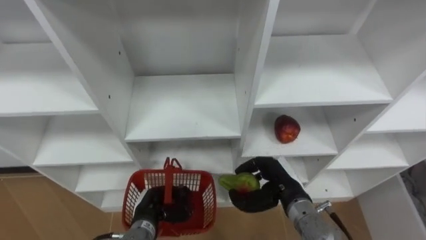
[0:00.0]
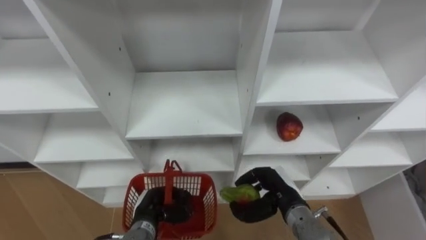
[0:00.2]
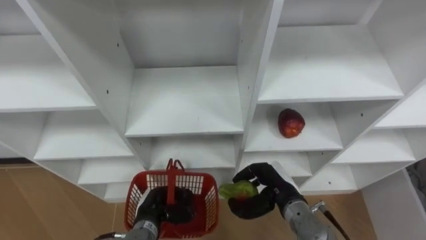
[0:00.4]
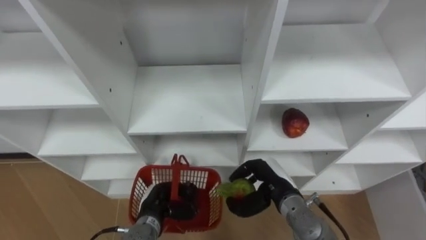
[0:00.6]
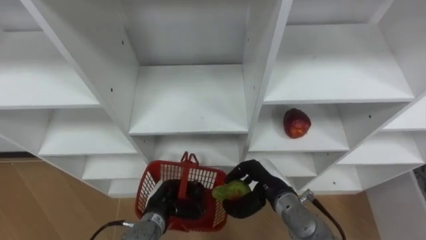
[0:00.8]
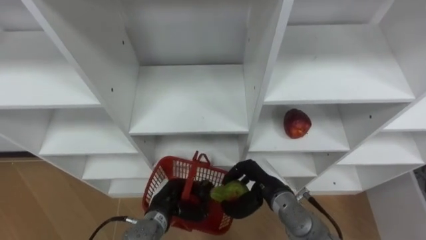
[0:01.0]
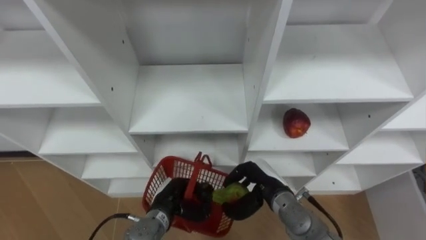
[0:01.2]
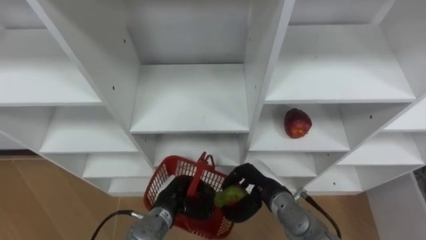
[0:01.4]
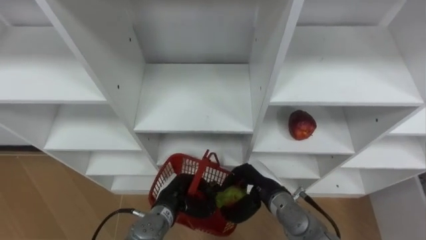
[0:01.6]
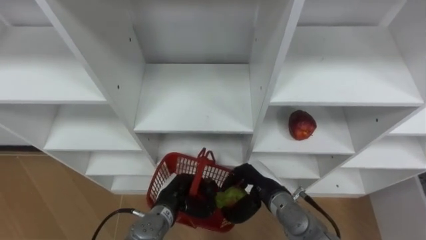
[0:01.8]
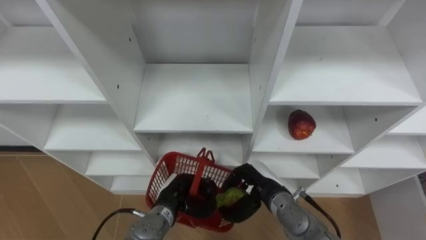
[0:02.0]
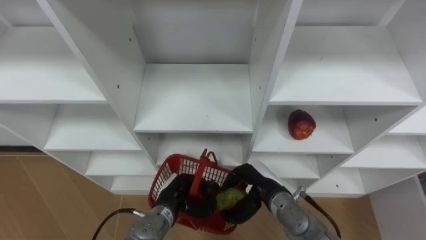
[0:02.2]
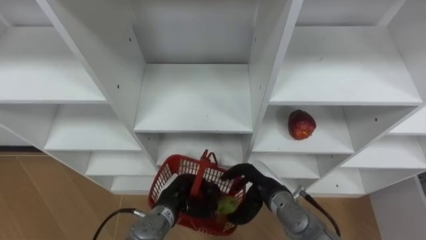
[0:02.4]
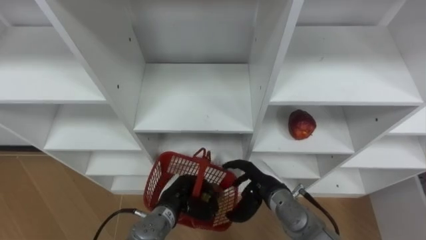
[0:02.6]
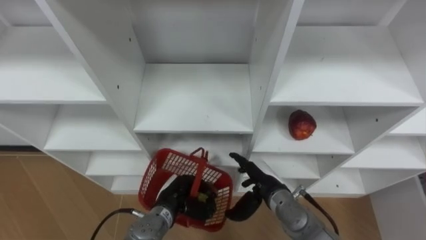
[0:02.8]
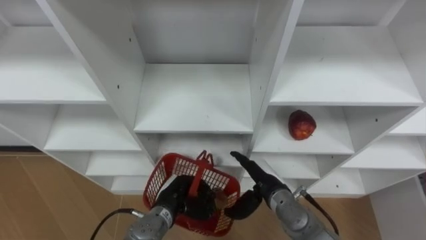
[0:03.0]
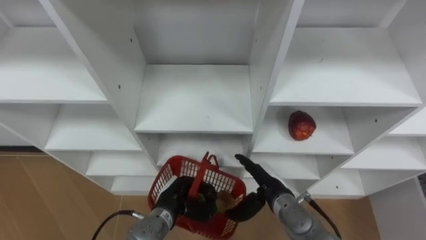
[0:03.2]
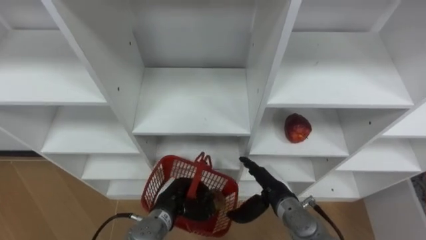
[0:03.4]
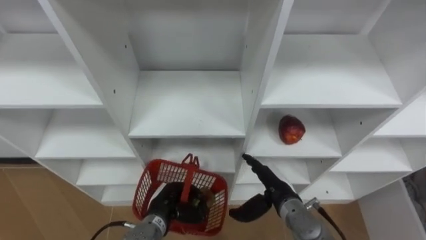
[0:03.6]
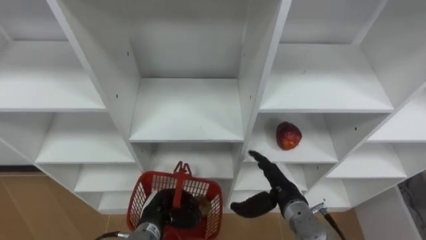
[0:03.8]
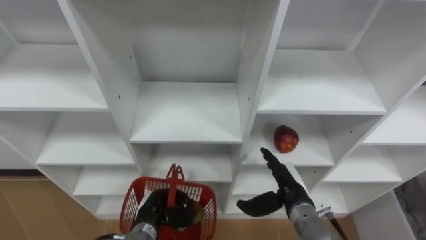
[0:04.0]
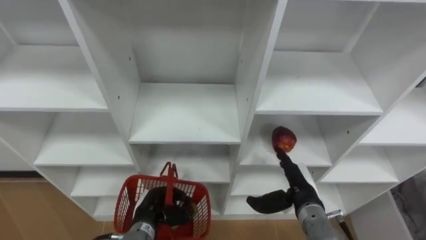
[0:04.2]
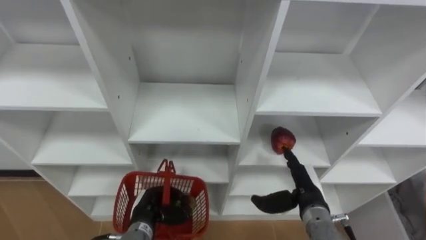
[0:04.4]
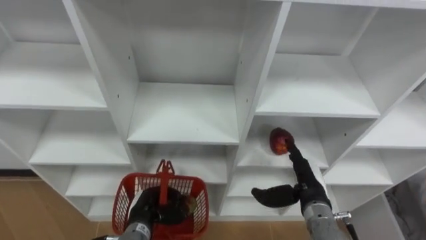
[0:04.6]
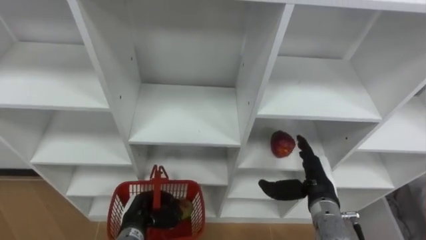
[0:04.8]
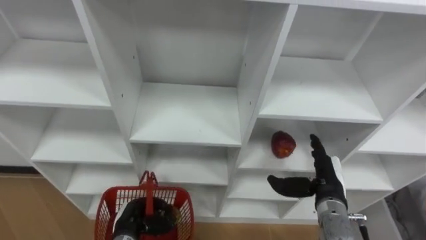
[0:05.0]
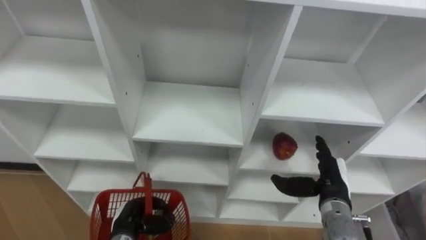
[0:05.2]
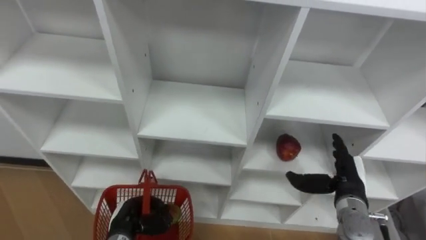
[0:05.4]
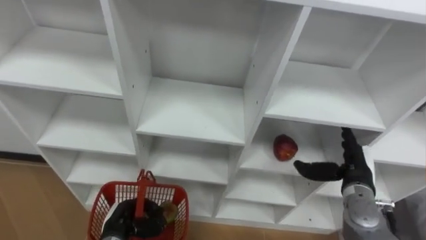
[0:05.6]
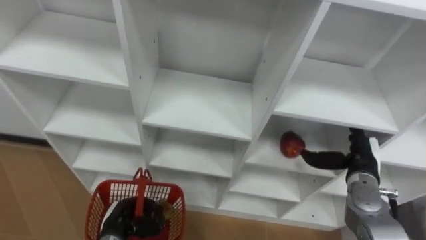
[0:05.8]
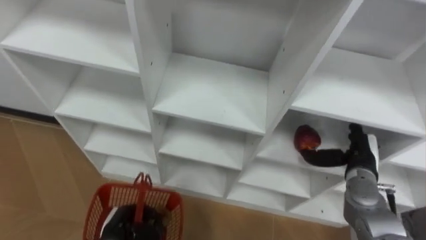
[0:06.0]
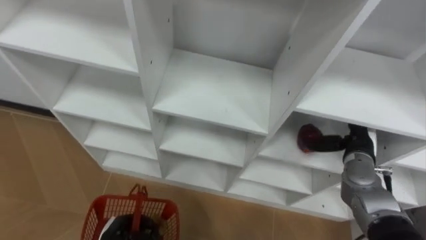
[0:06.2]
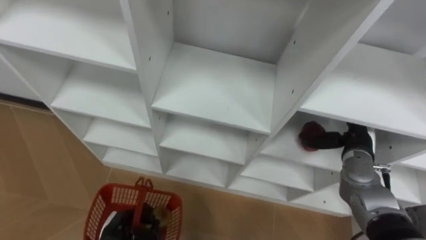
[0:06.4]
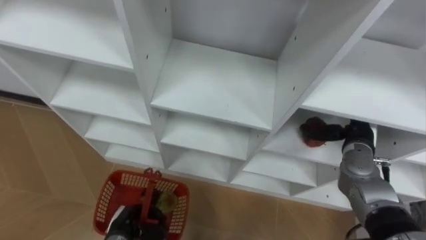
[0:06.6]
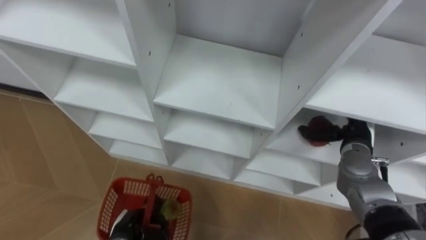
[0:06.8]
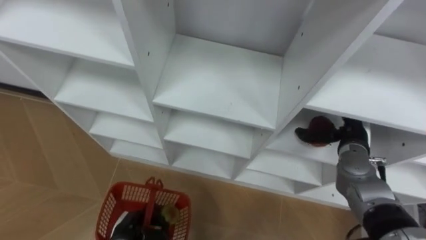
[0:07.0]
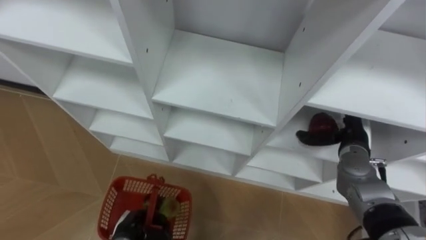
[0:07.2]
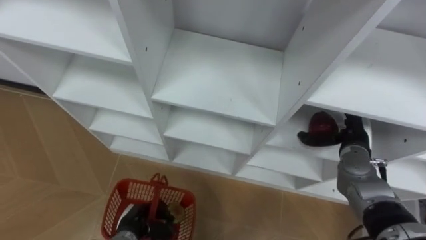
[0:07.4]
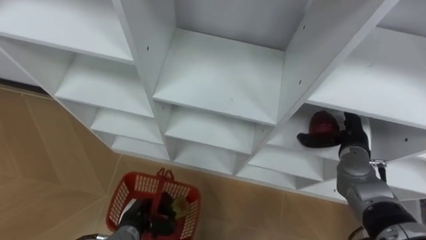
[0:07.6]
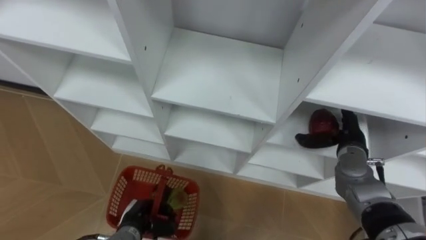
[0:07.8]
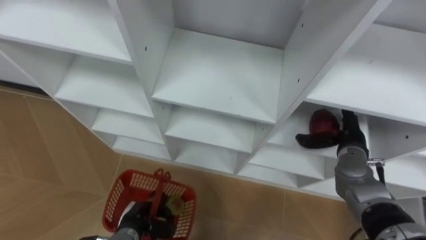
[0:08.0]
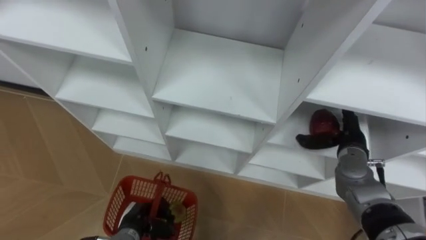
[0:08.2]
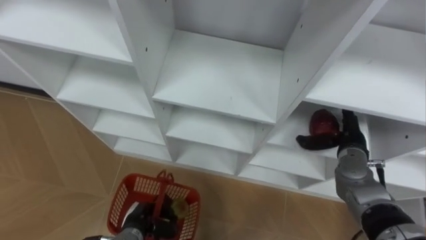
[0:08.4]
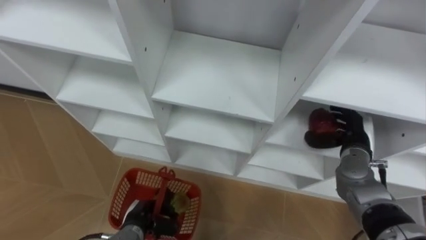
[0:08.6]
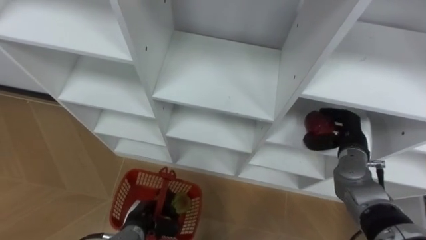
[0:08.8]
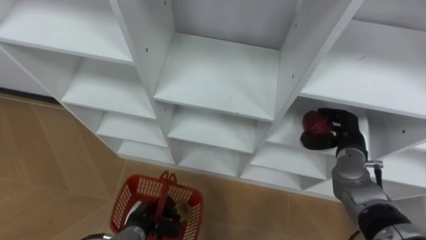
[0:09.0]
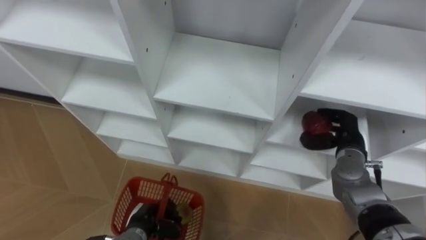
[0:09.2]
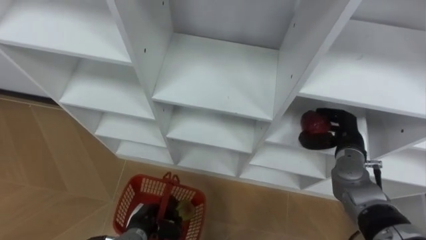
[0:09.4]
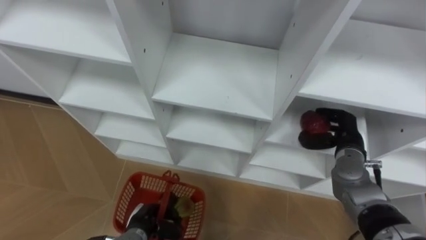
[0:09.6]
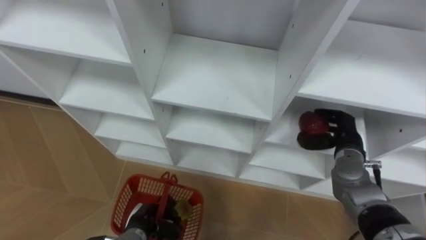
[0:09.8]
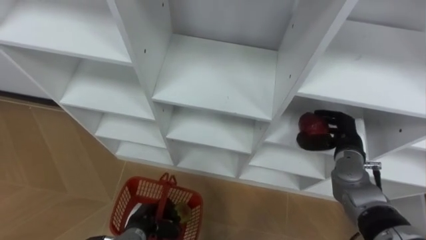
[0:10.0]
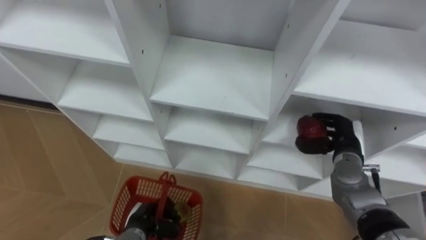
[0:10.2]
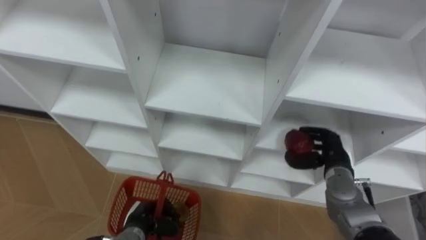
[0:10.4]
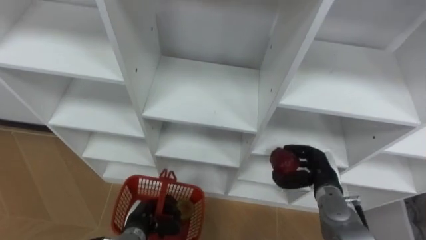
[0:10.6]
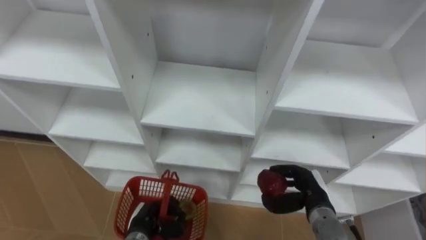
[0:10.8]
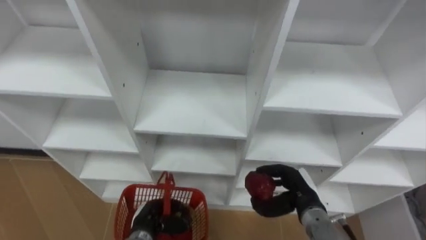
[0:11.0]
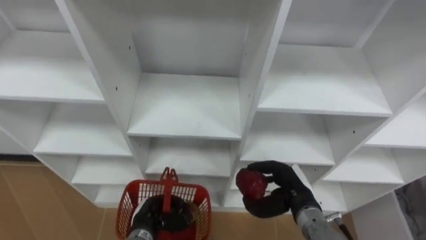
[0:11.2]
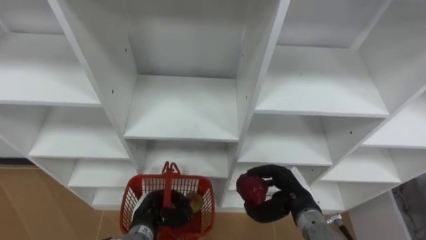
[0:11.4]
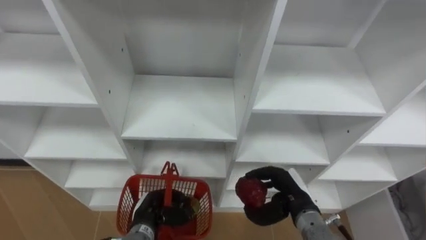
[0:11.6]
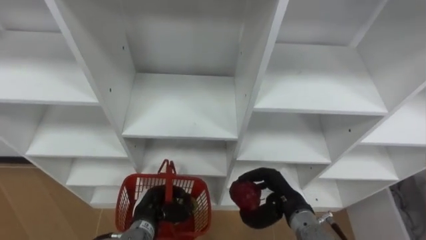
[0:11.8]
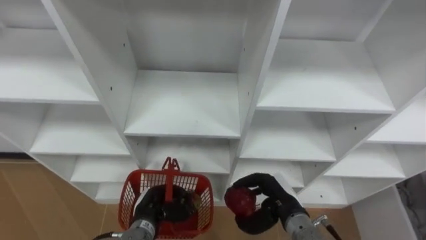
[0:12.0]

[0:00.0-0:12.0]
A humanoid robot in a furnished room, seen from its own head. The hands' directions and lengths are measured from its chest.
Task of the whole recording: Hold the basket and collect the fruits from 3 different cells of the closet into it.
0:00.0 to 0:01.6: The right hand moves roughly 5 cm. Meanwhile the left hand goes some 5 cm to the right.
0:01.6 to 0:03.0: The right hand opens.
0:03.0 to 0:04.4: The left hand heads to the left, covering about 5 cm, while the right hand goes approximately 10 cm to the right.
0:04.4 to 0:06.0: The left hand moves to the left, roughly 5 cm; the right hand is displaced to the right by approximately 10 cm.
0:07.6 to 0:09.0: The right hand closes.
0:10.4 to 0:12.0: The right hand is displaced to the left and backward by roughly 15 cm.

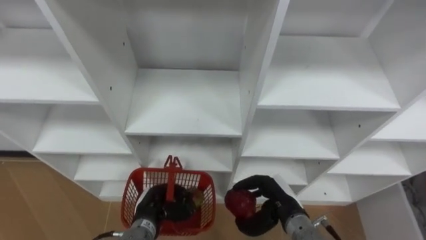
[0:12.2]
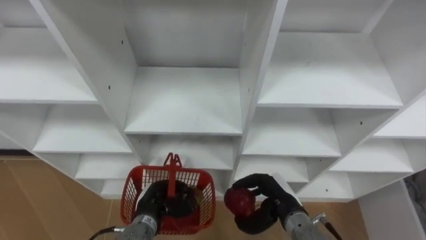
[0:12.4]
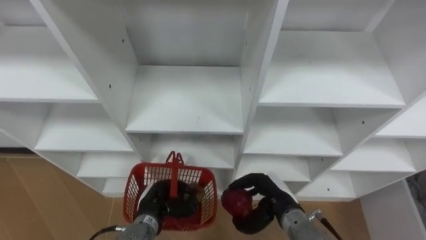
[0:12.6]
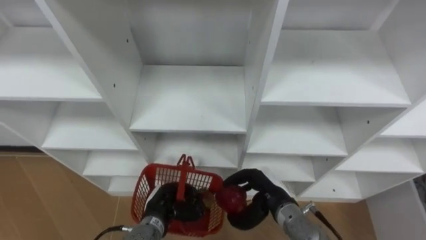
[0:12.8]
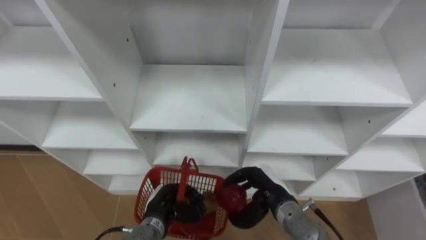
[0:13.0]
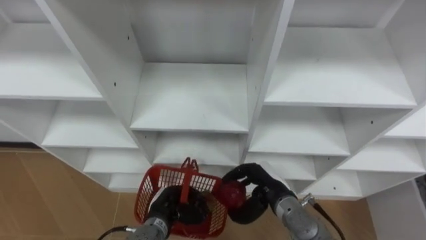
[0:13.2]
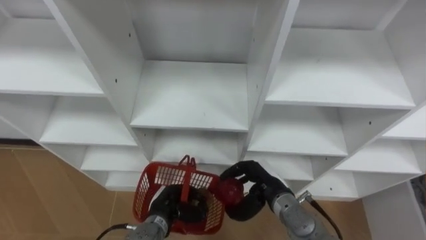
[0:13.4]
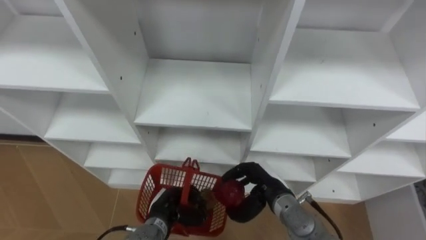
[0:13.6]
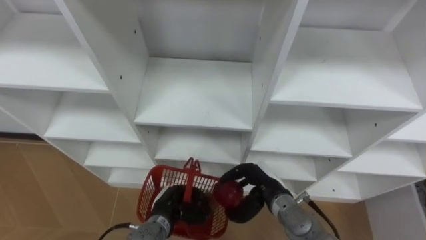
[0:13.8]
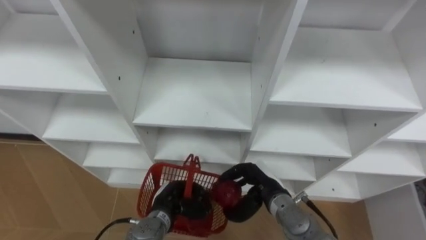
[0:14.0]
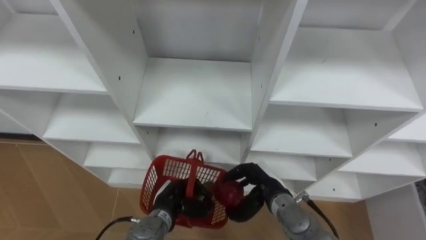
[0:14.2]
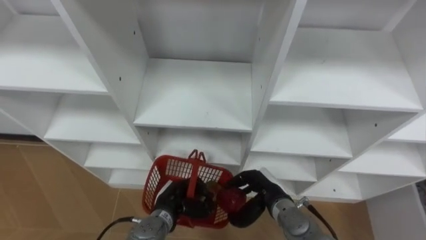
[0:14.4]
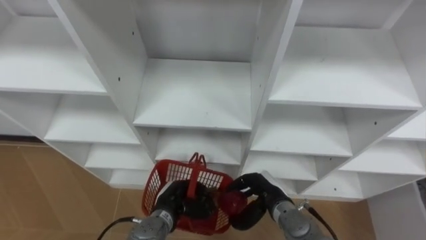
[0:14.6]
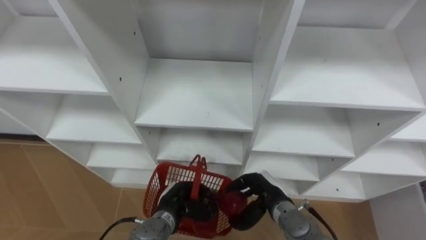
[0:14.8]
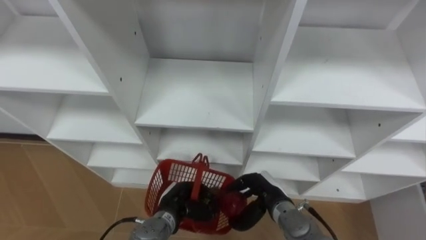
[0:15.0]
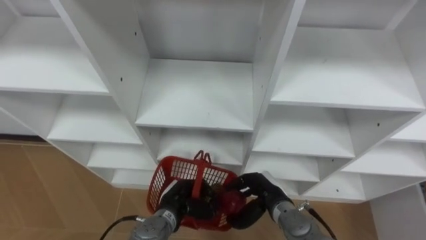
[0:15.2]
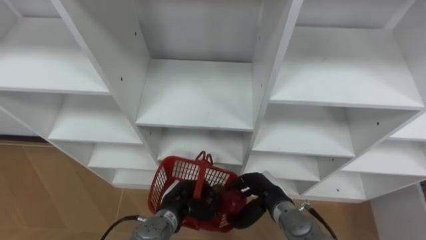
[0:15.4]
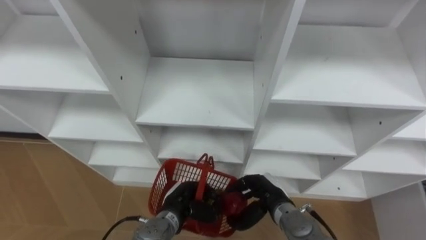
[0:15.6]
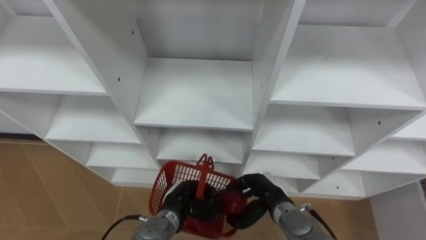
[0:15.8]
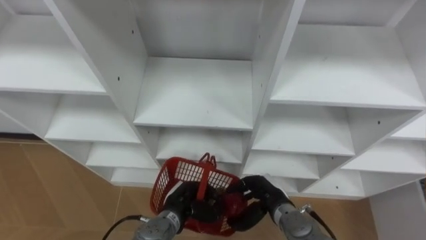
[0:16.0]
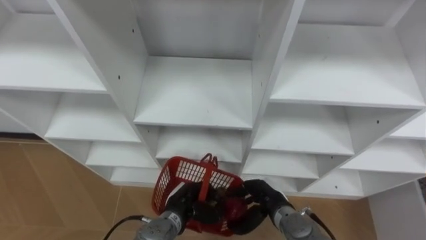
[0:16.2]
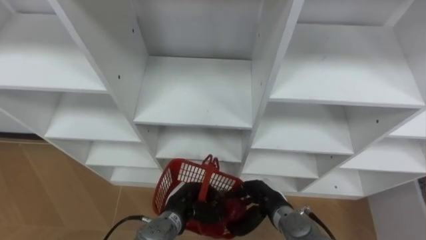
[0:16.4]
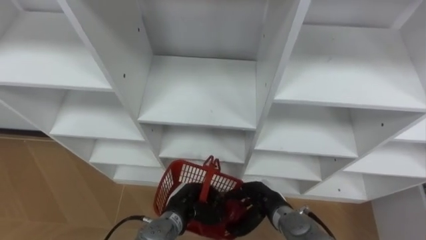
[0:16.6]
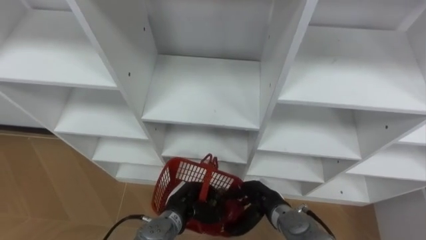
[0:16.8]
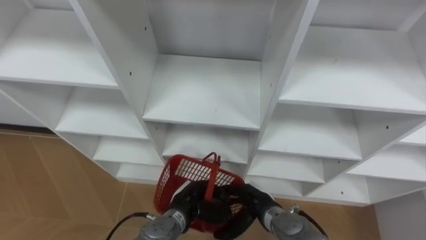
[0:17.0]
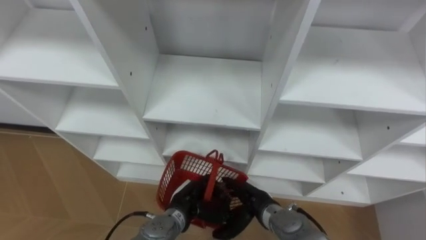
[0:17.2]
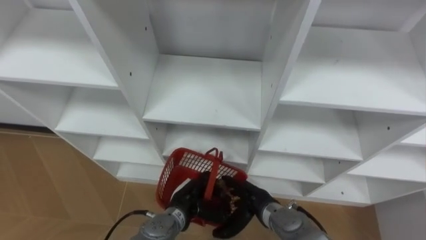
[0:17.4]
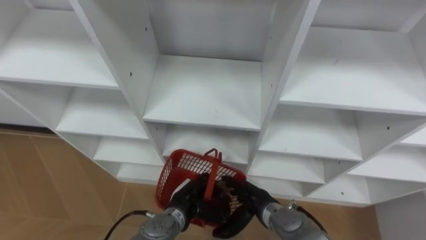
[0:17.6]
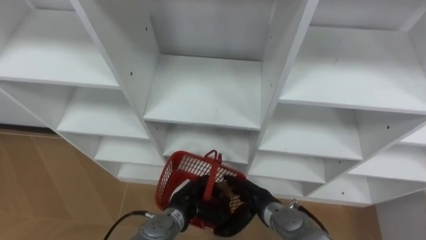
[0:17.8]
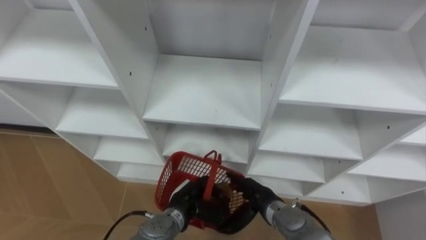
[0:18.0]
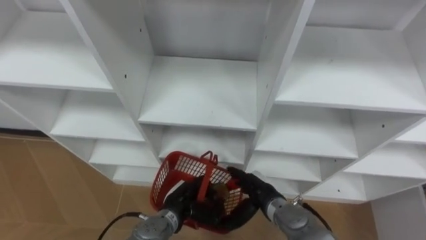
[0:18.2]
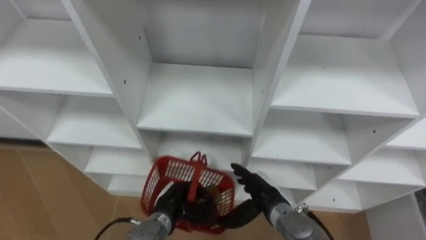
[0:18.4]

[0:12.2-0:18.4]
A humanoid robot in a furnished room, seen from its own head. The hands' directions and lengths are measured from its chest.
Task of the whole recording: Hold the basket and collect the fruits from 3 different cells of the closet into it.
0:13.8 to 0:16.8: There are only small adjustments of the hands.
0:16.8 to 0:18.4: The right hand opens its fingers.
